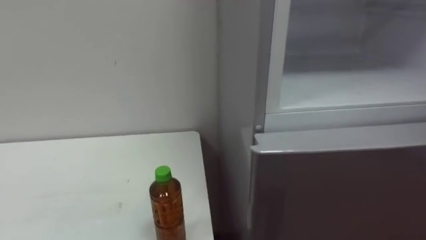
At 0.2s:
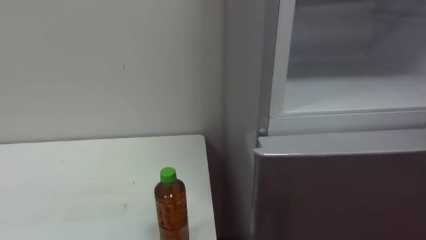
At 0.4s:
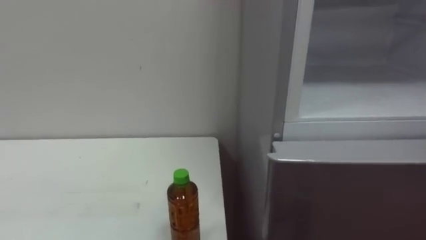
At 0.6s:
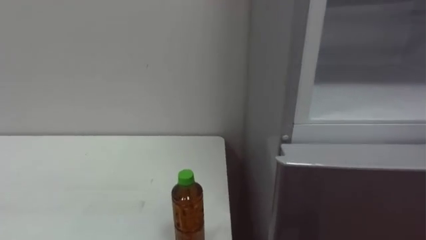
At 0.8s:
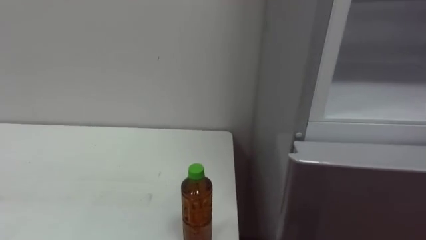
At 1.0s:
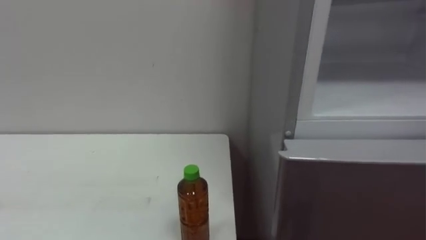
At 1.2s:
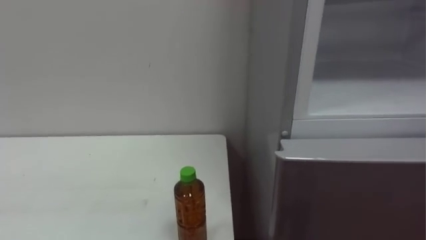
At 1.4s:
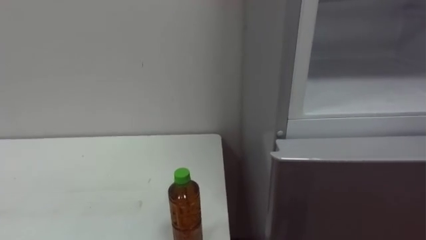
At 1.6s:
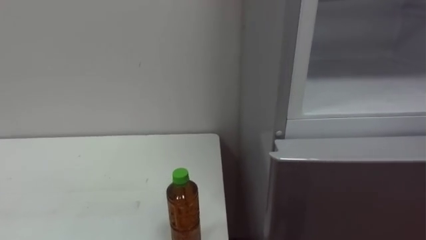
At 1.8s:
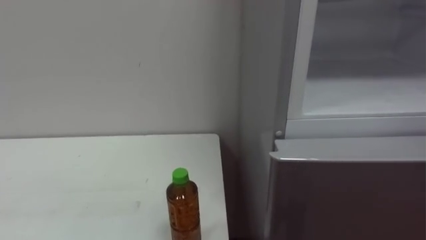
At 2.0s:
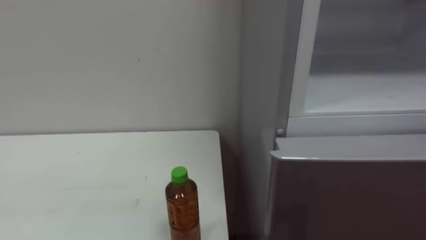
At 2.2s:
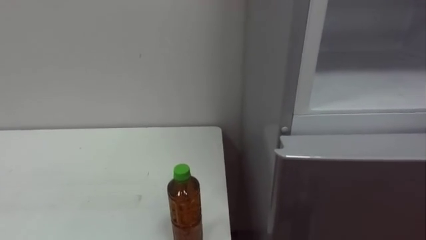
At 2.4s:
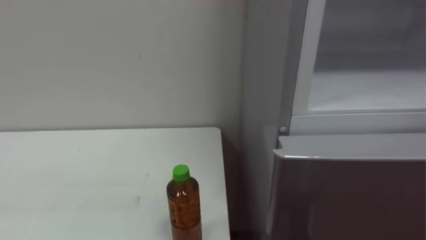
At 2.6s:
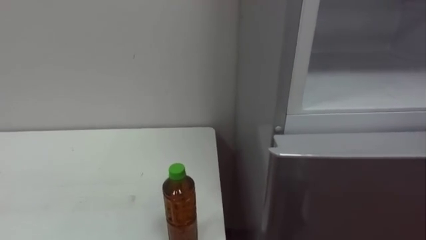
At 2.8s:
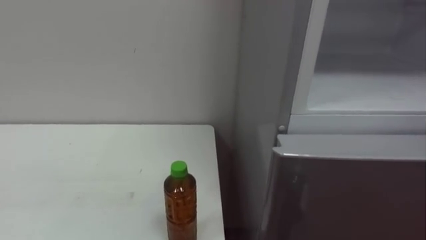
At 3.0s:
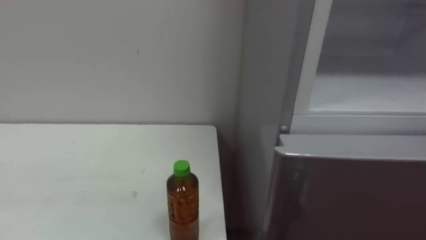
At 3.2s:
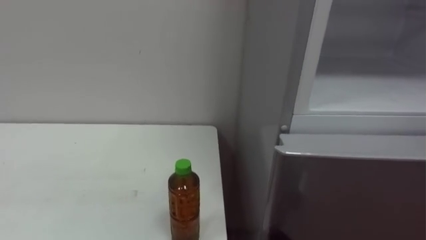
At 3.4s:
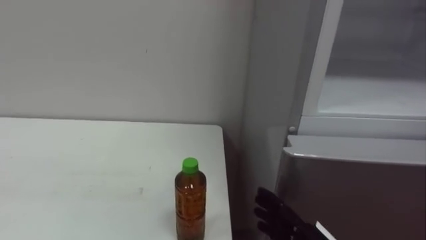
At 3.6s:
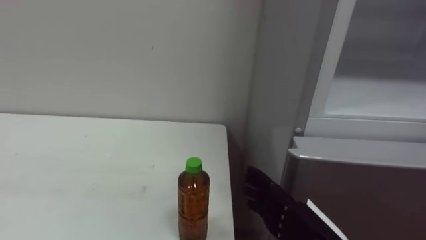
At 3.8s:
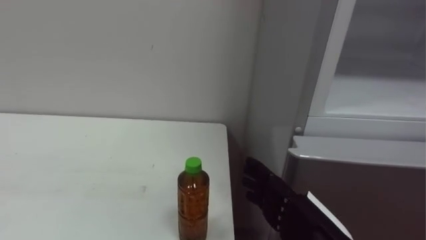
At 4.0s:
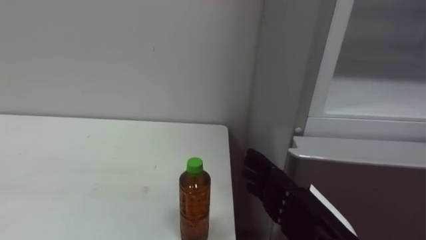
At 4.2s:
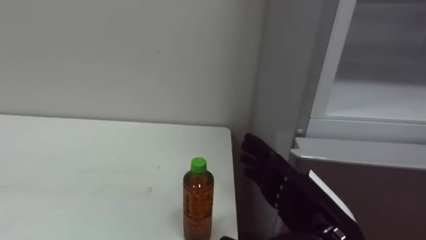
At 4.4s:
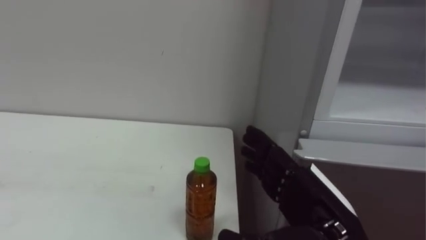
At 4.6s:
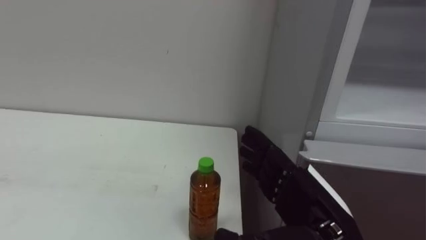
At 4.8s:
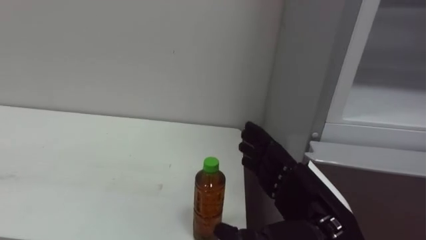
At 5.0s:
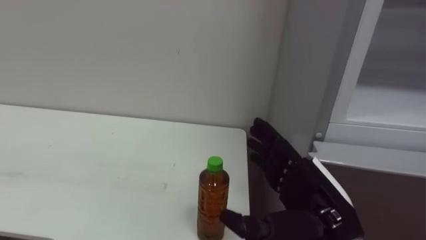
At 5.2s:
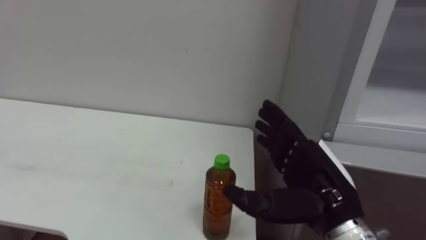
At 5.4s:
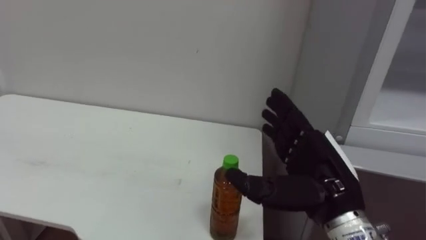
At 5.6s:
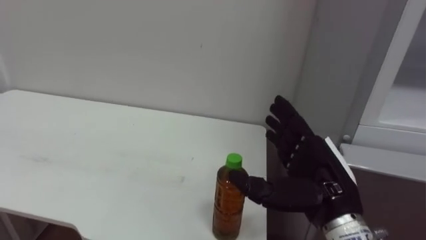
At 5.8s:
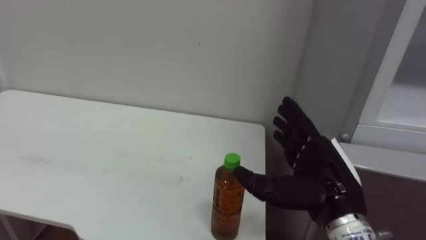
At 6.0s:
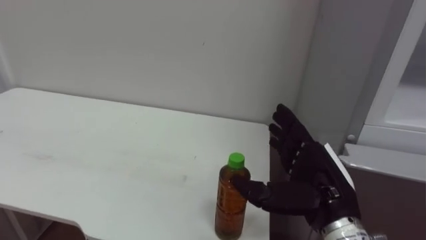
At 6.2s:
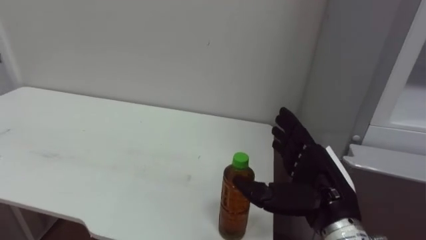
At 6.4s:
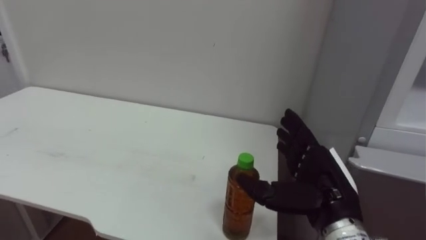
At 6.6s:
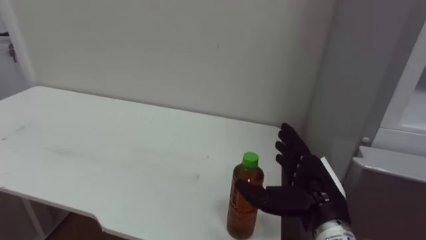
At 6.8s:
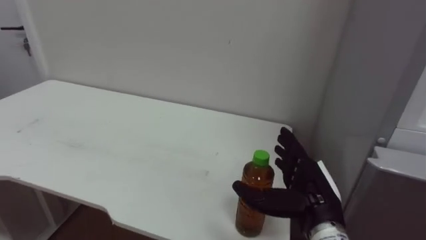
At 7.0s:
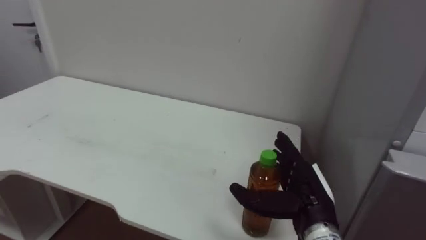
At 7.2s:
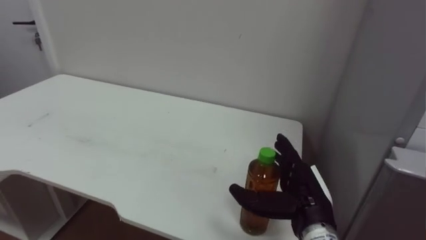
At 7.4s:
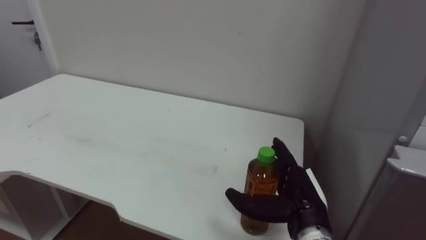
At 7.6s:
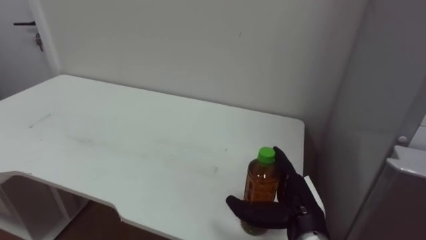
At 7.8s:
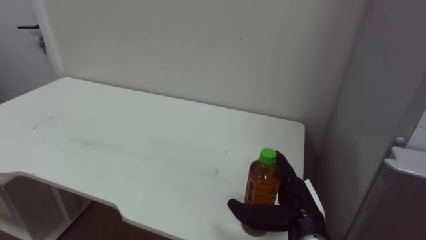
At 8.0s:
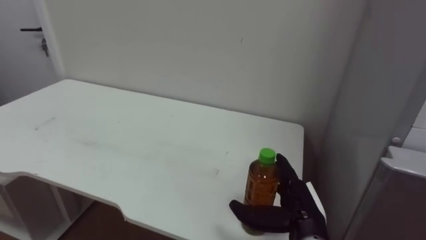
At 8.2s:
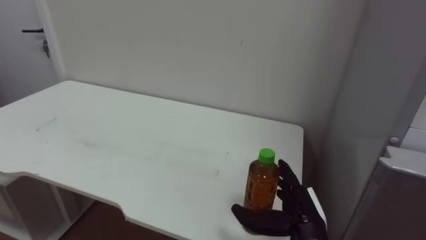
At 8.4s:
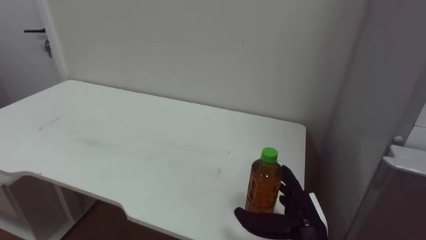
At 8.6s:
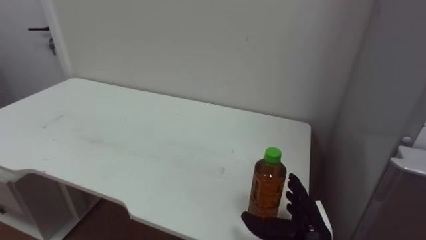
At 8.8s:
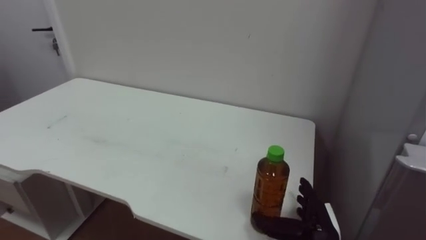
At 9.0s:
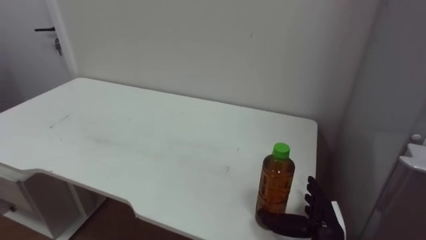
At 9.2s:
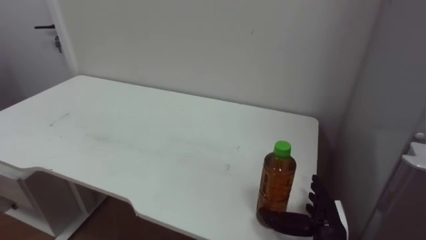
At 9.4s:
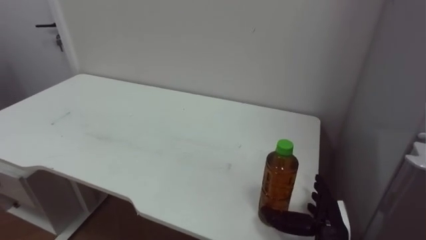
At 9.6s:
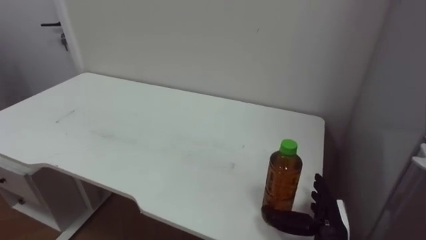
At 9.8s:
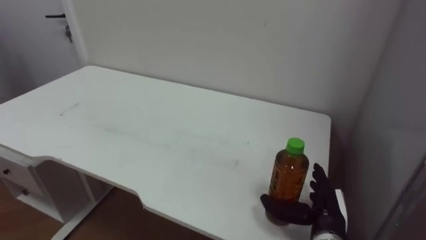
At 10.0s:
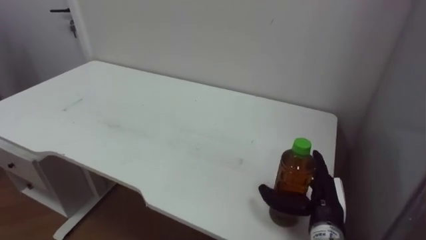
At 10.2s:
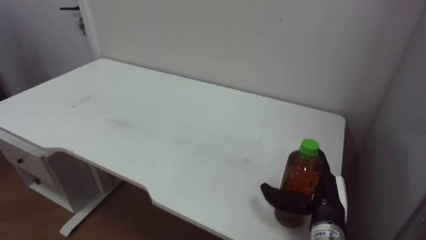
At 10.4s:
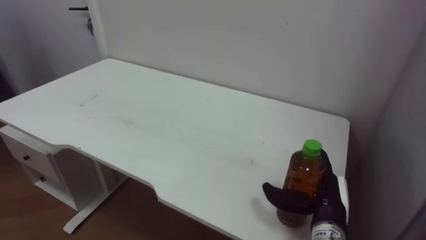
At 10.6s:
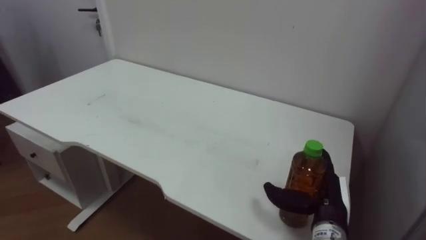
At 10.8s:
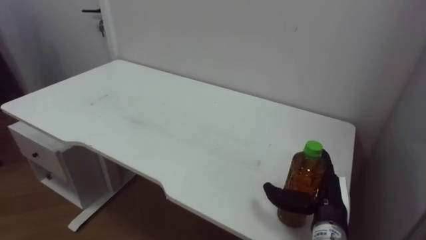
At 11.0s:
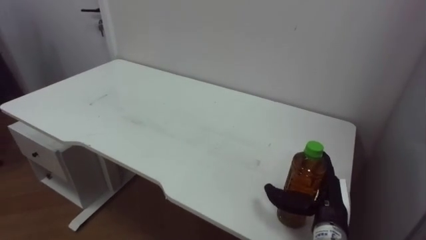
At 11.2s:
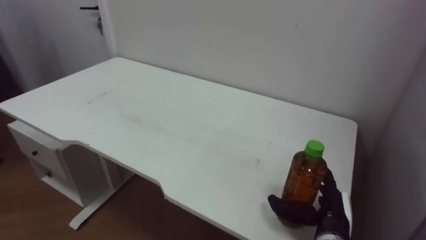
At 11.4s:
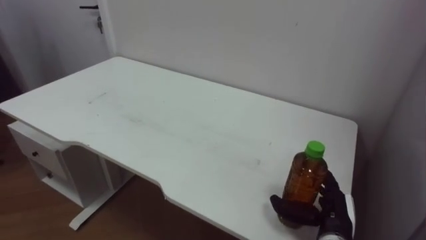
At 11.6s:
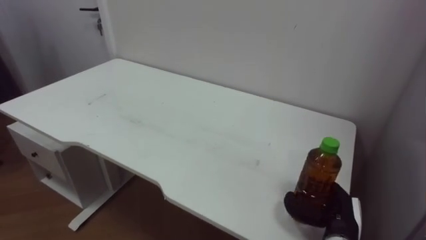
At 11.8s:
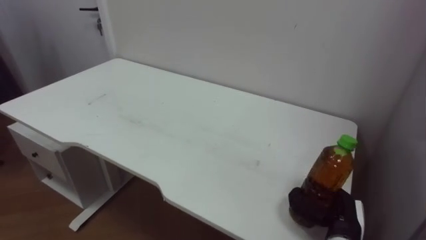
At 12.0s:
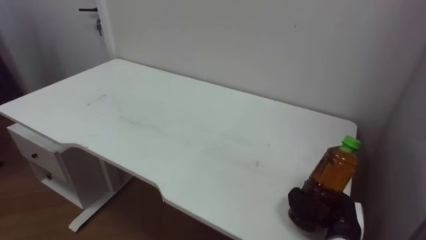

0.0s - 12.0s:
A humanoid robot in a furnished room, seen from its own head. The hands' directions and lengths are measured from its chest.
Task of the whole recording: Open the upper refrigerator door, put the drink from the table into the refrigerator, and then close the refrigerator door.
6.0s - 7.6s: The right hand goes roughly 10 cm downward.
7.6s - 9.0s: The right hand shifts some 5 cm downward.
10.4s - 12.0s: The right hand changes place by about 5 cm, and closes.

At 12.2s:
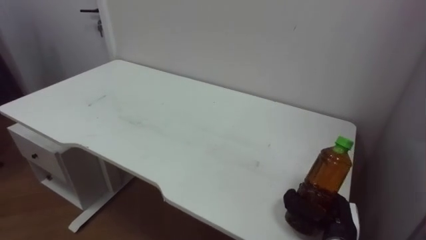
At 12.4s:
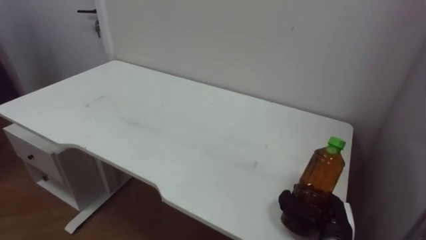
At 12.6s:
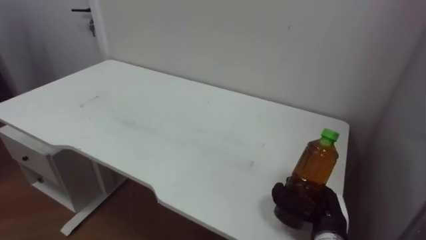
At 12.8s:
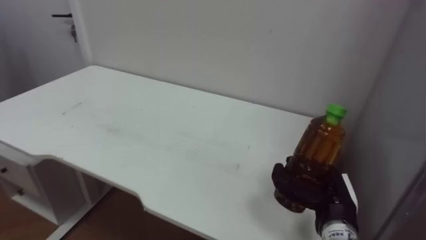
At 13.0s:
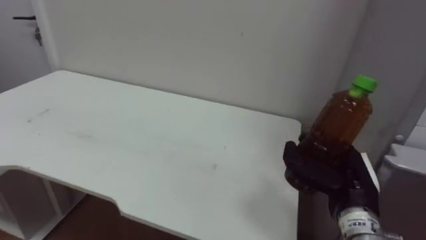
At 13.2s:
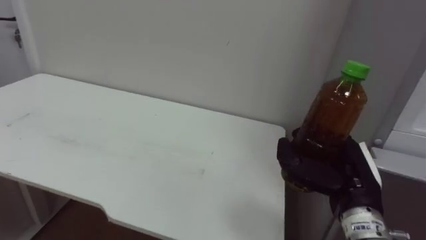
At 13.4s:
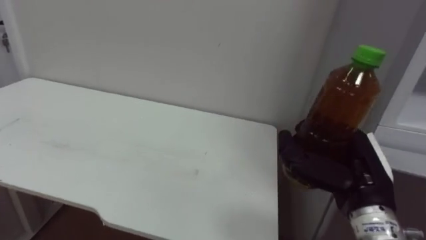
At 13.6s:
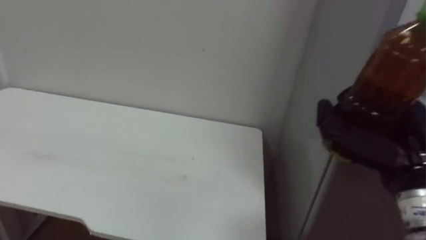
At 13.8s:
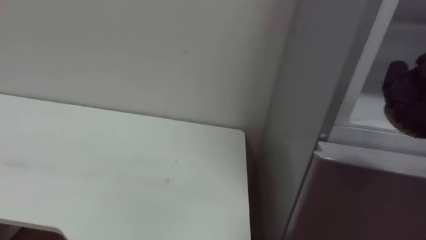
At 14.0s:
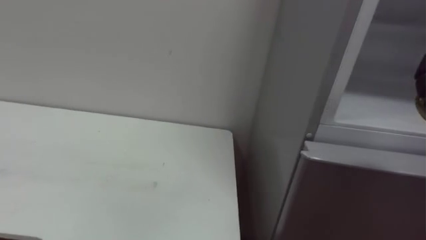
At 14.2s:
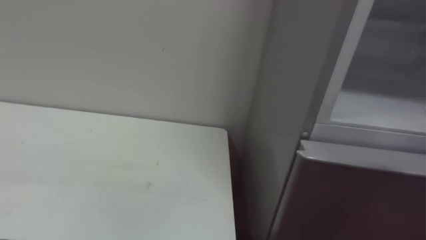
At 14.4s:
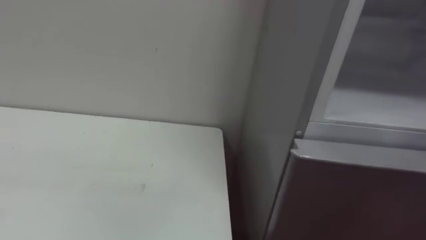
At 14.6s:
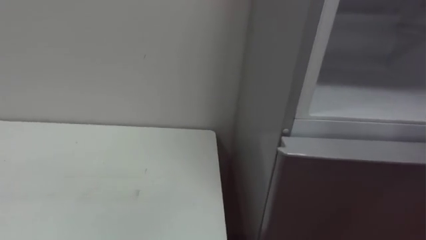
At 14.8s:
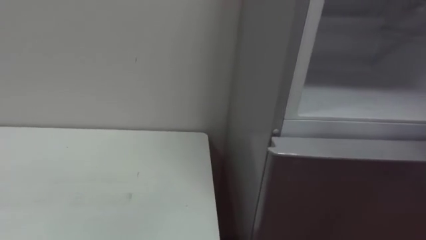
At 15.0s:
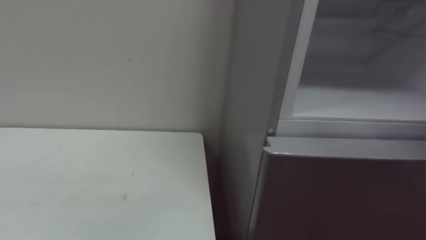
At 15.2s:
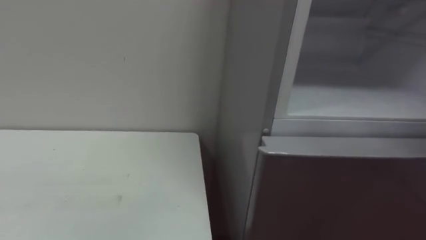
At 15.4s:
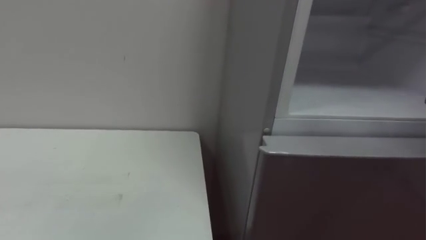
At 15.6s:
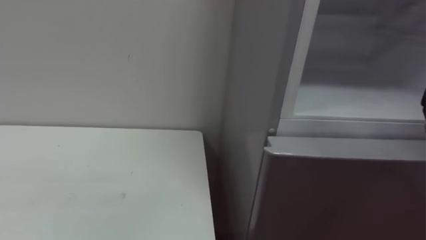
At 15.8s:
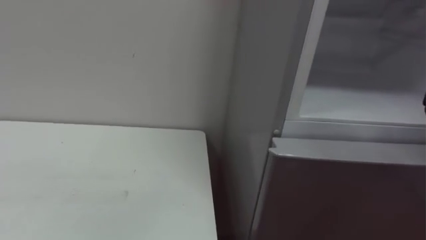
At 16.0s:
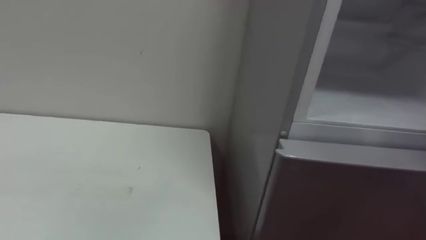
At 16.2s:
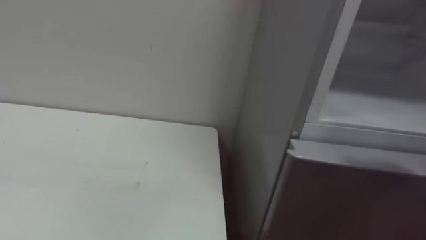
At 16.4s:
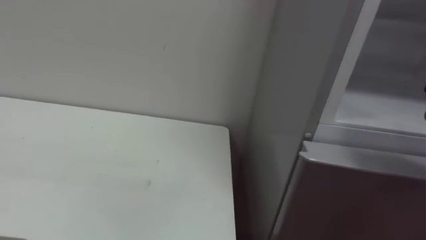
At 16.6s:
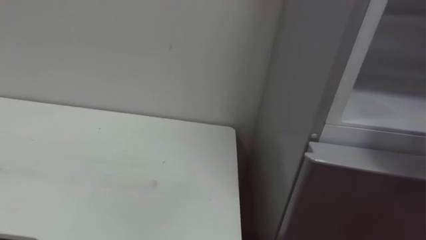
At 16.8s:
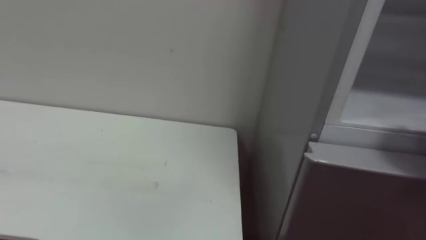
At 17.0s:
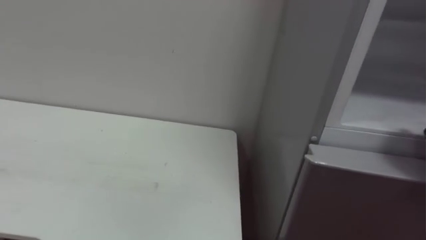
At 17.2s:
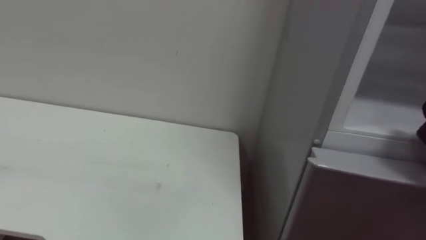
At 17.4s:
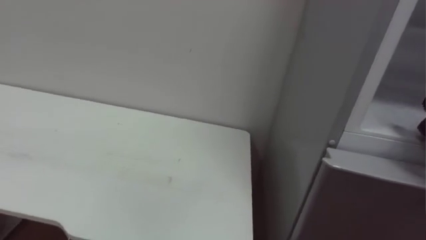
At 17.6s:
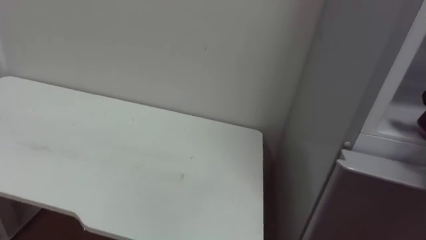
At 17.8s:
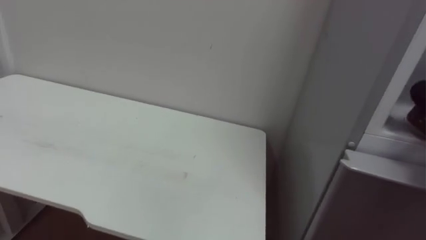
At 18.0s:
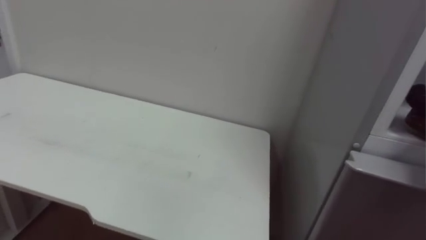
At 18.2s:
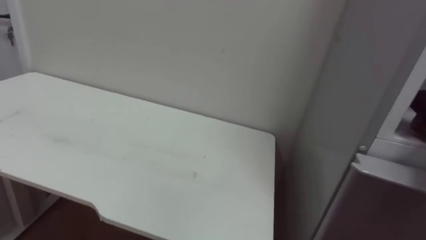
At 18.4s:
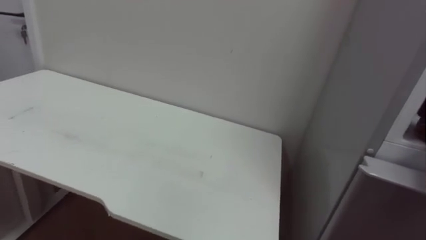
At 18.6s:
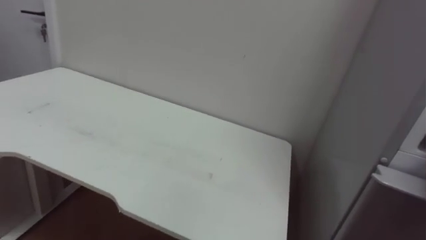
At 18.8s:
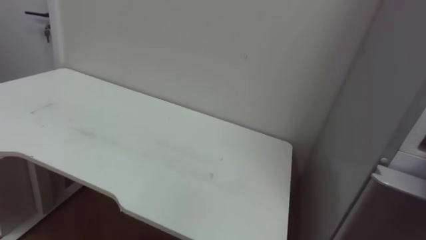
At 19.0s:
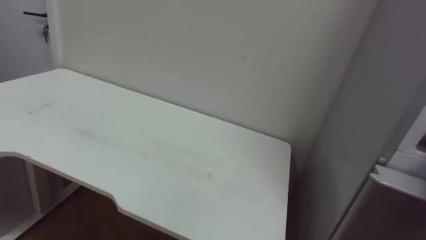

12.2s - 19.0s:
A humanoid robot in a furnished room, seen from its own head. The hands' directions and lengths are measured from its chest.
Task of the whole recording: Open the upper refrigerator door, put the drink from the table into the refrigerator, and then close the refrigerator door.
12.2s - 13.6s: The right hand is displaced upward by roughly 20 cm.
